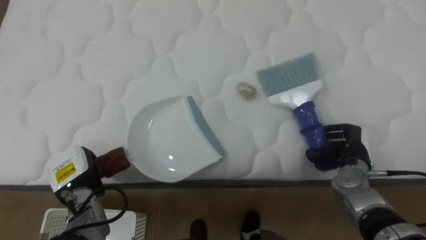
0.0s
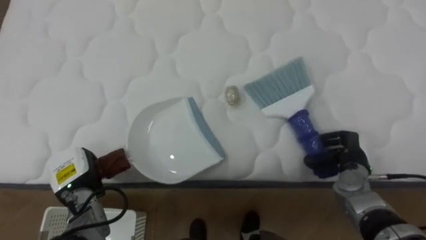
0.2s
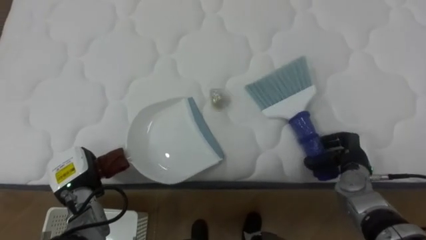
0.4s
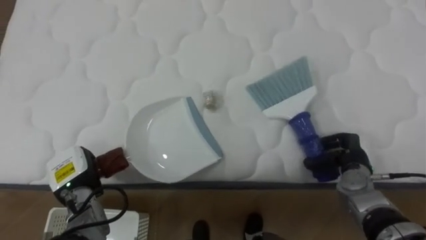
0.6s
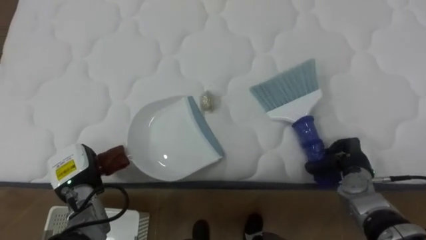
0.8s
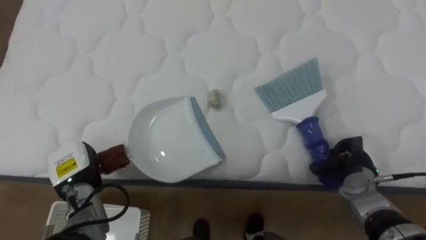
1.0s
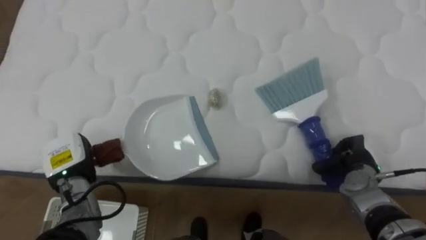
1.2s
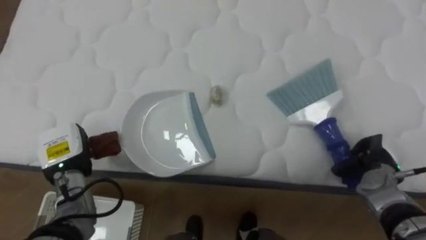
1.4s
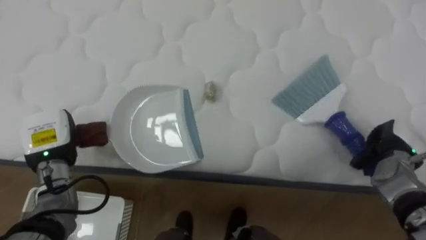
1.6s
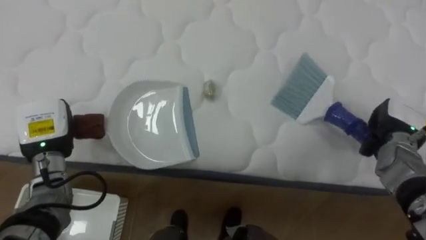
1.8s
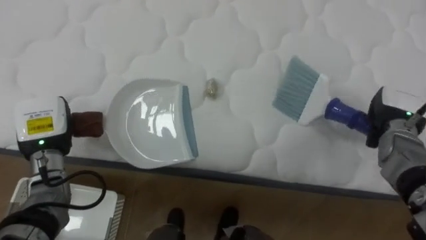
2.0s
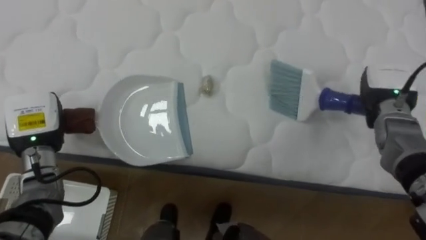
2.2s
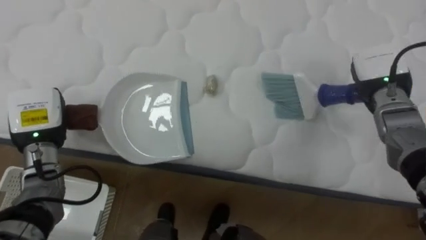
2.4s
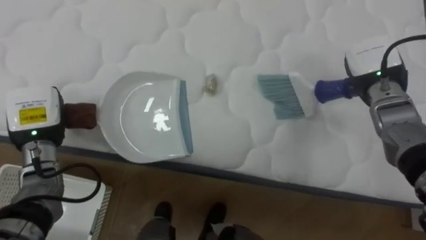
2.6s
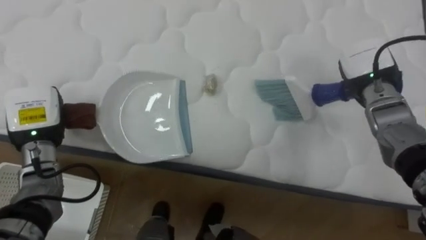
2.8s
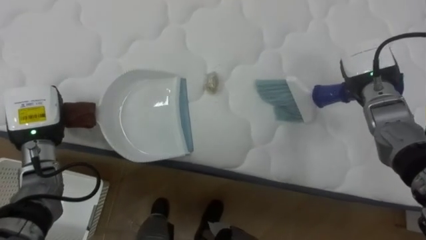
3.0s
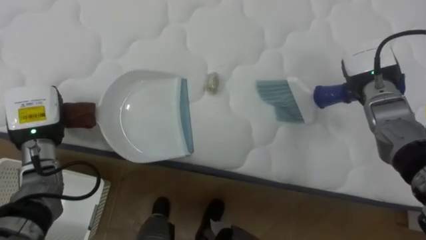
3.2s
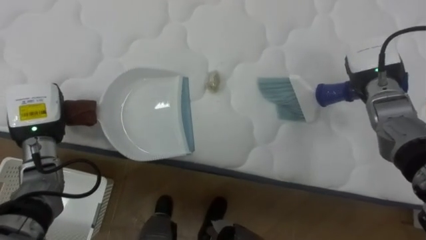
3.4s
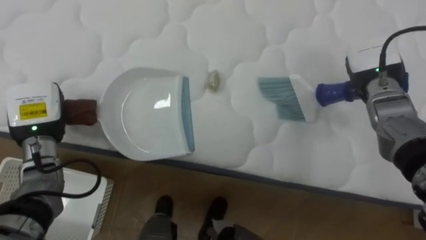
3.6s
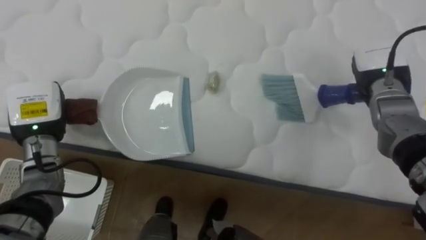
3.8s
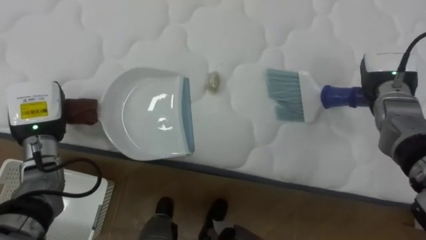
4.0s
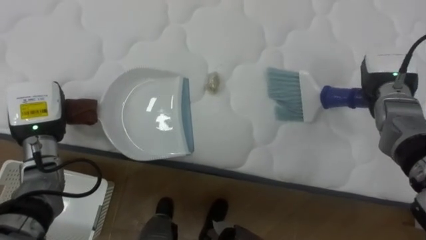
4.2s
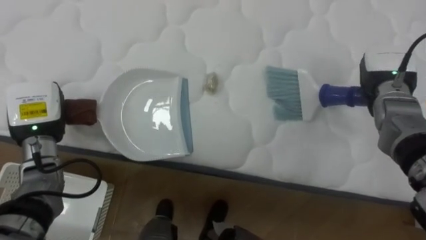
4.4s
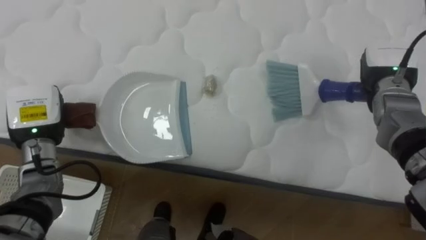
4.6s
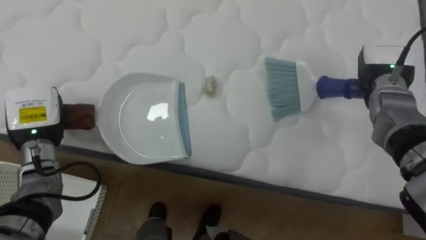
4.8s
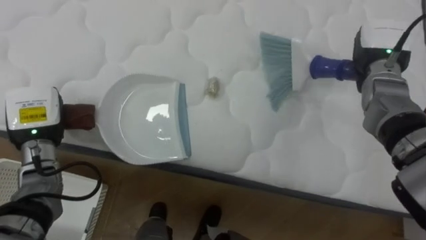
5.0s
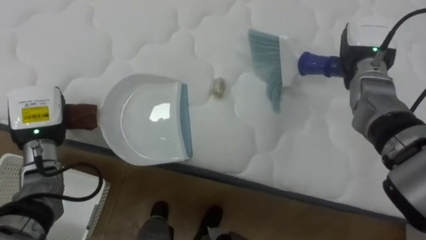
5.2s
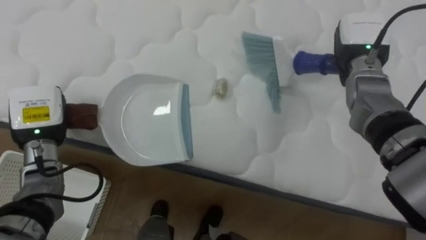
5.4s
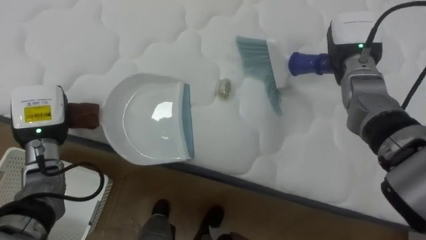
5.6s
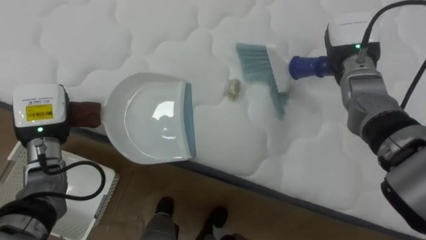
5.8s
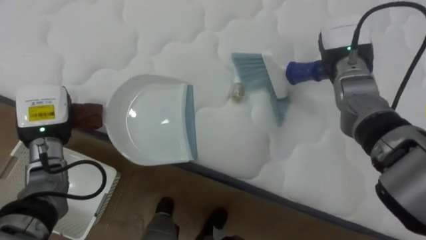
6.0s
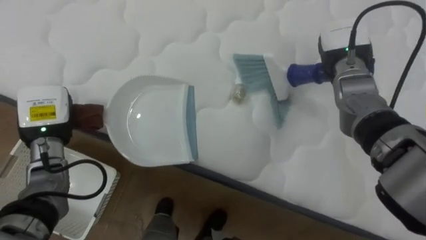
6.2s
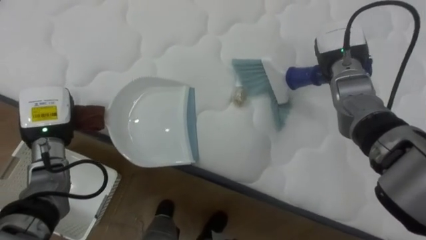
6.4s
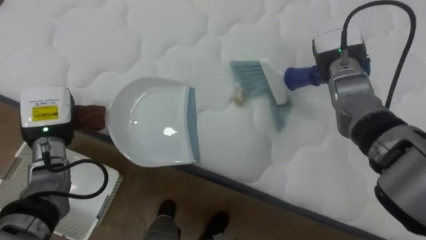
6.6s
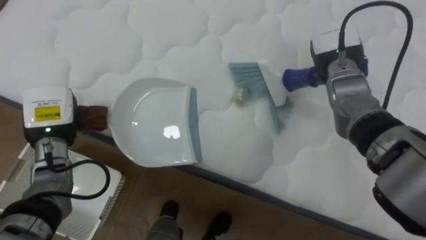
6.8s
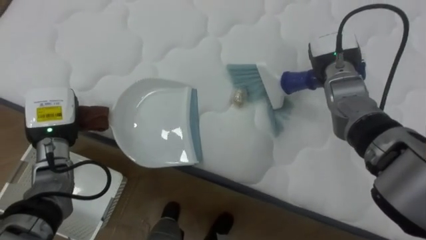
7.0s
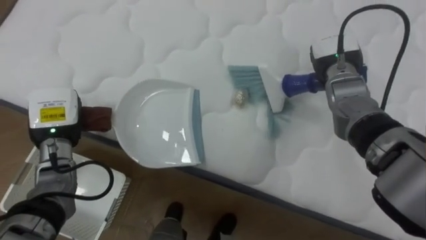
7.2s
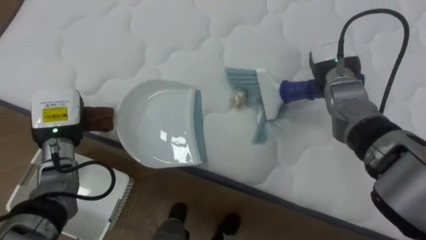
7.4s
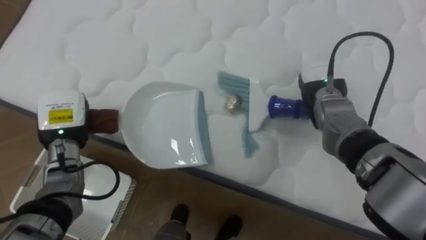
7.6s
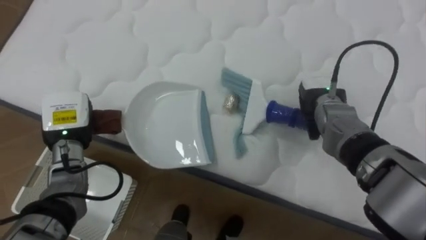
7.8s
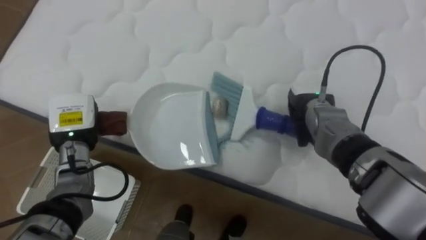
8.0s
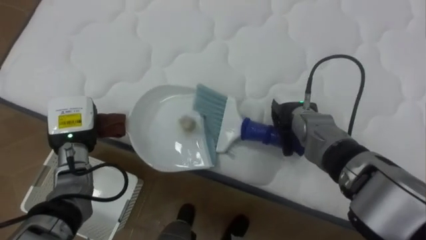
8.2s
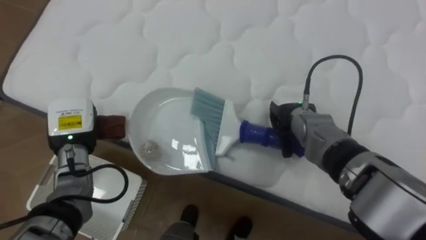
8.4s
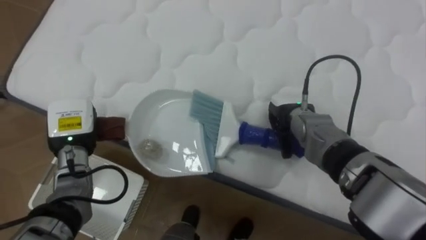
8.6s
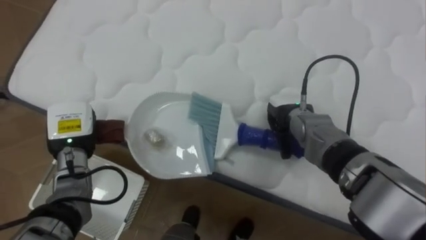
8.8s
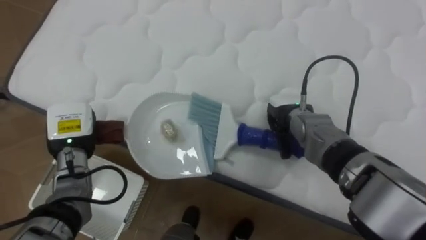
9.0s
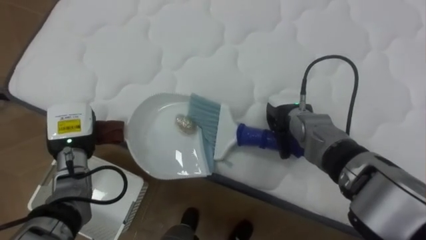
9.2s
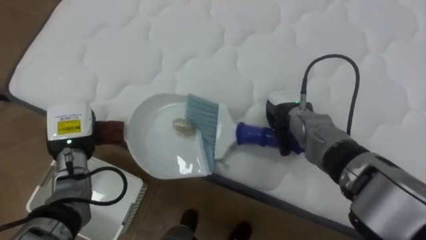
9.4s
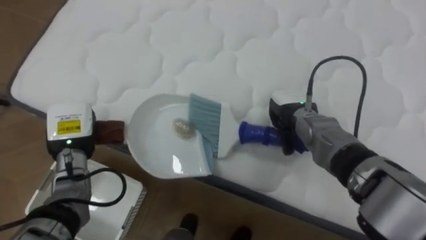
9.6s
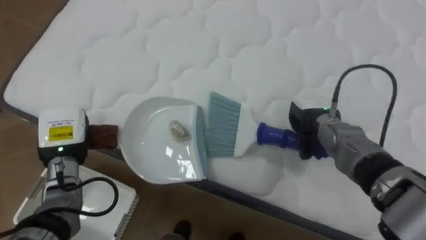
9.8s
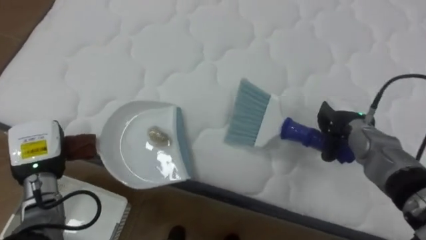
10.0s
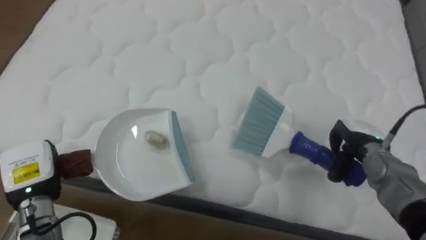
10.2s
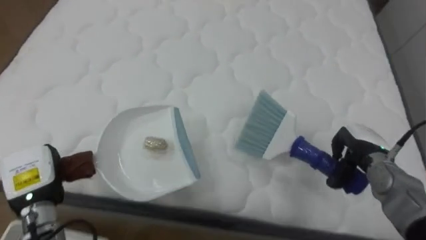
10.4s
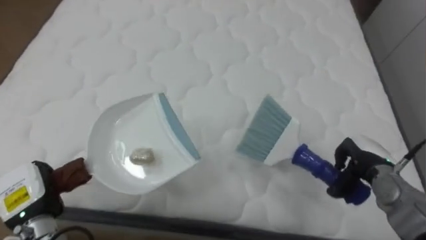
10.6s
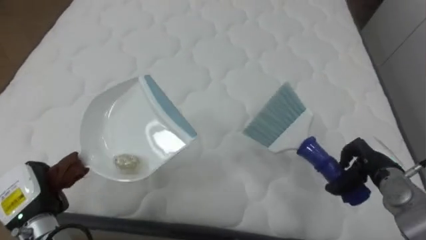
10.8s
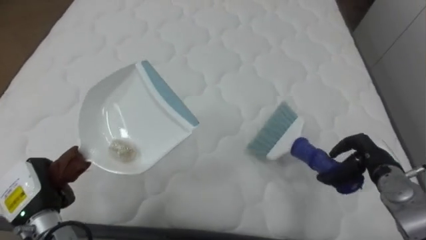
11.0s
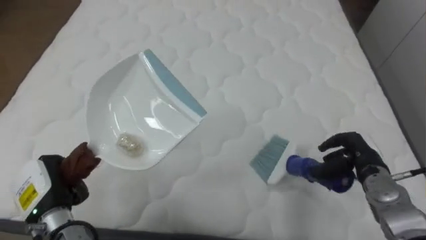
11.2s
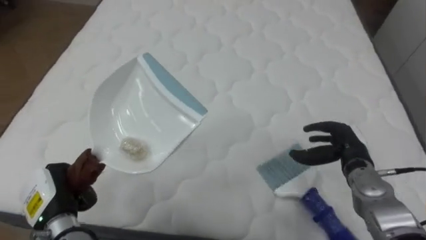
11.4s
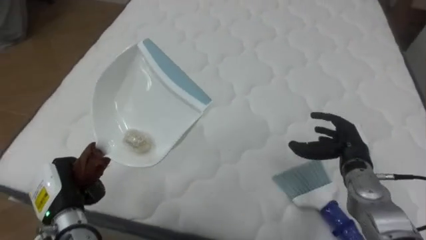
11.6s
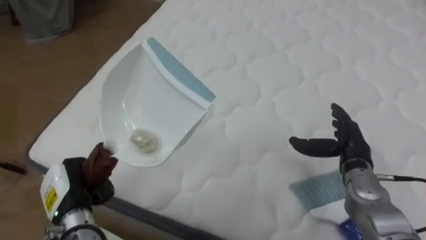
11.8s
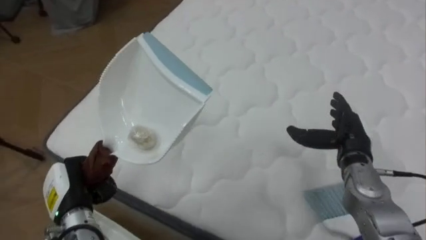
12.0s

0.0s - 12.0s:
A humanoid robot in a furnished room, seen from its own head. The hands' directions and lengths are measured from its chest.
Task of the whole recording: Pick up the brush on your right and the dustpan on your left. Use the brush to sweep the crumpled paper on the bed into the dustpan, then turn left and empty it into the basket.
0.0s - 1.6s: The right hand moves to the right, roughly 10 cm. Meanwhile the left hand travels upward by some 5 cm.
1.6s - 3.0s: The left hand shifts by roughly 5 cm; the right hand heads upward, forward and to the left, covering roughly 20 cm.
4.4s - 6.0s: The right hand moves to the left, some 10 cm.
6.0s - 7.6s: The right hand shifts about 10 cm downward.
7.6s - 9.0s: The right hand heads to the left and downward, covering some 10 cm.
9.0s - 10.4s: The right hand travels to the right and backward by approximately 20 cm. Meanwhile the left hand shifts roughly 10 cm backward and to the left.
10.4s - 12.0s: The robot faces some 20 degrees further to its left. The right hand changes place by roughly 5 cm, and opens up. The left hand is displaced to the right by about 5 cm.

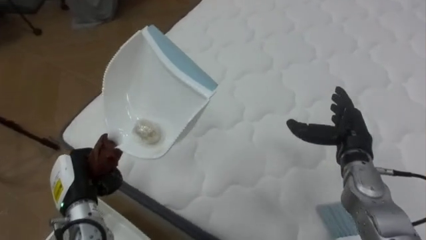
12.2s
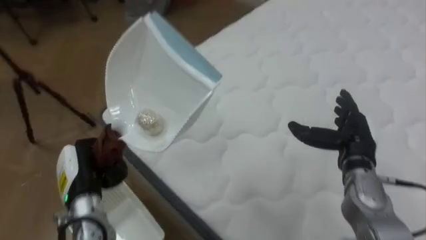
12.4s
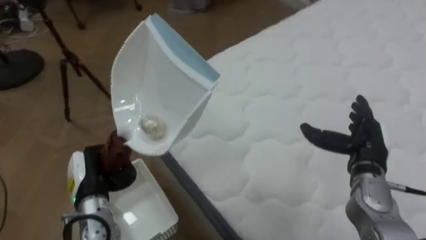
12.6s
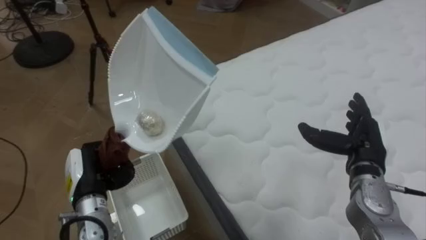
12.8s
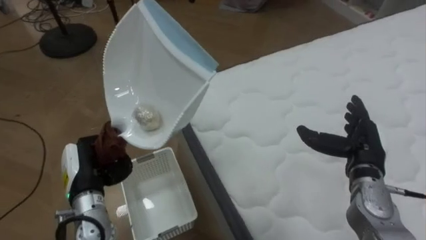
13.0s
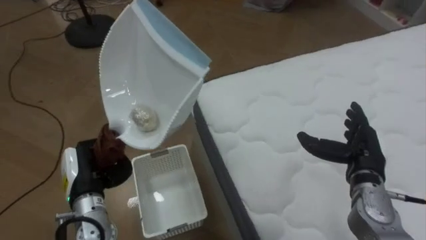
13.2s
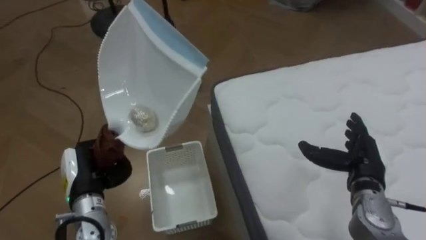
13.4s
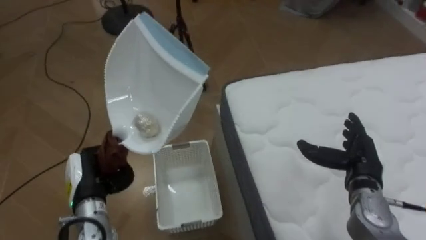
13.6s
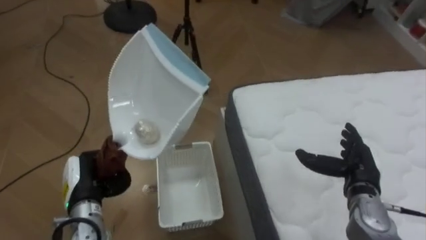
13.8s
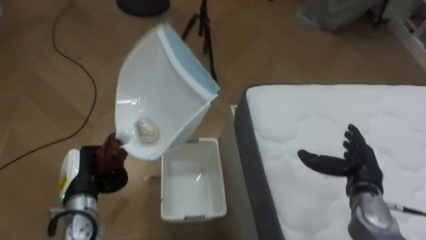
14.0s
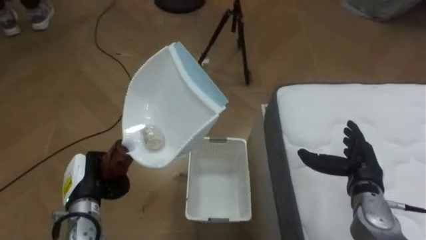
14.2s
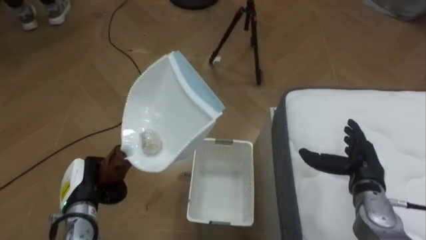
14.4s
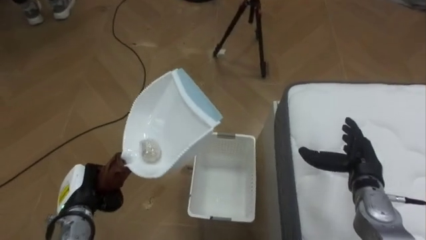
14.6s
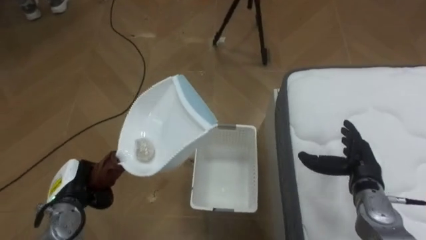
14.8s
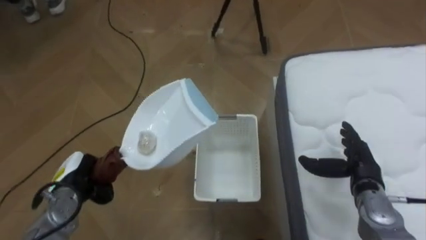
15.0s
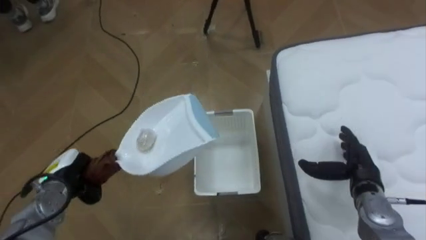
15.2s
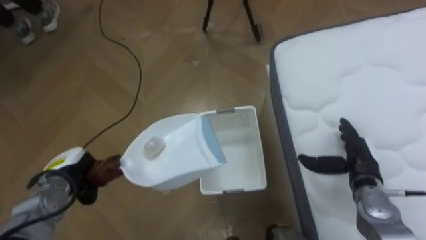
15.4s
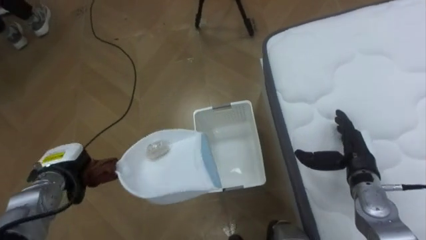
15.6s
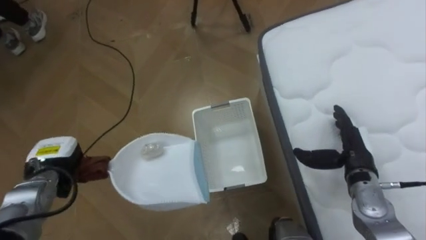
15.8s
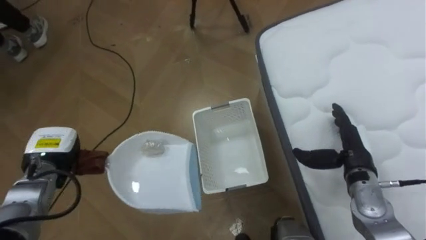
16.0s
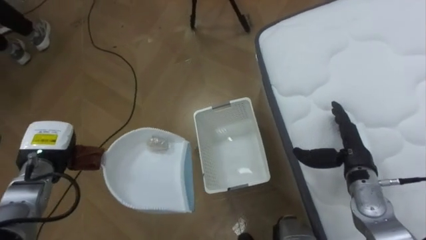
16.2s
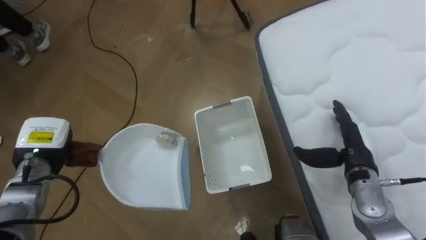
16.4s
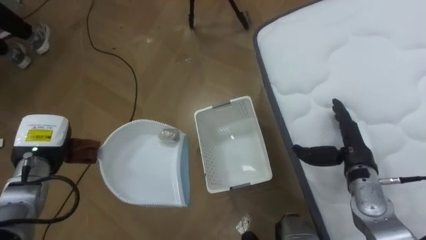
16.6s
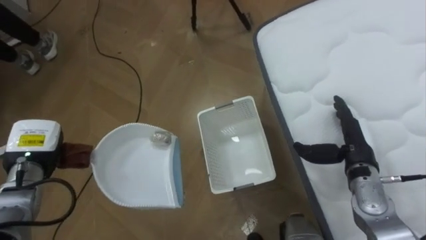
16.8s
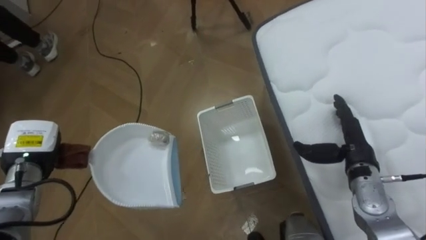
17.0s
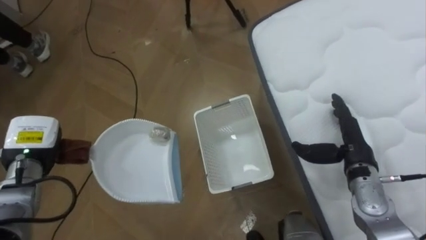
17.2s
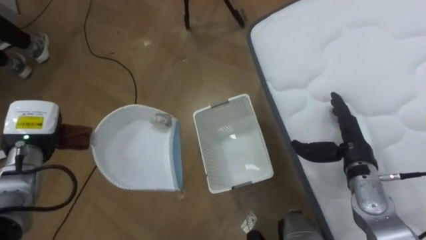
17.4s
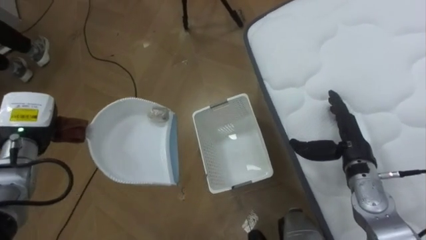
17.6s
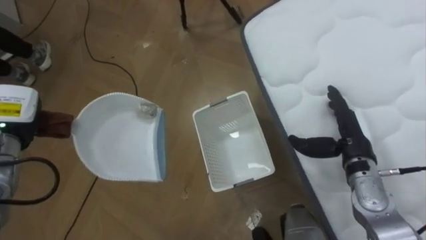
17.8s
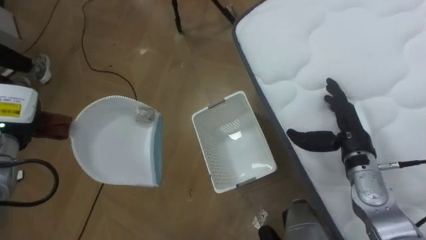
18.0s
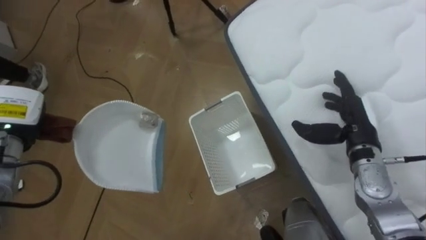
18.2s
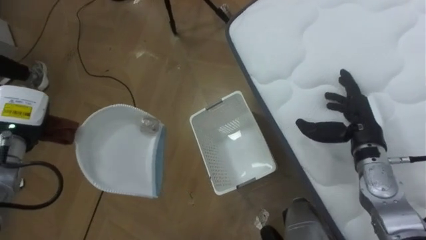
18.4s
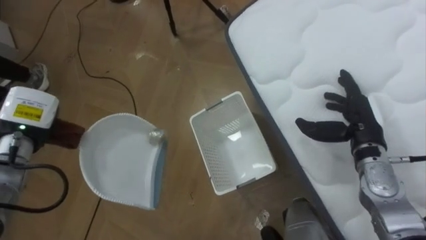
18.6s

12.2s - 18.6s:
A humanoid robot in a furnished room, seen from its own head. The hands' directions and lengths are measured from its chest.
Task of the whole recording: Pick up the brush on your right and the dustpan on your left. Use the brush to sweep the crumpled paper on the bed into the dustpan, then turn left and empty it into the basket.
12.2s - 13.8s: The robot's body swings about 45 degrees to its left. The right hand is displaced backward by about 5 cm.
13.8s - 15.4s: The left hand shifts by approximately 5 cm.
15.4s - 17.0s: The left hand travels upward by about 5 cm.
17.0s - 18.6s: The left hand moves upward, roughly 5 cm.
